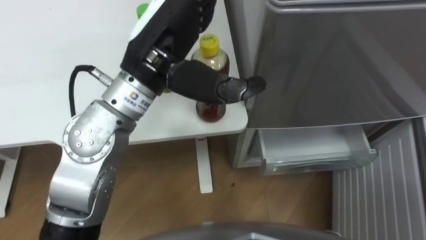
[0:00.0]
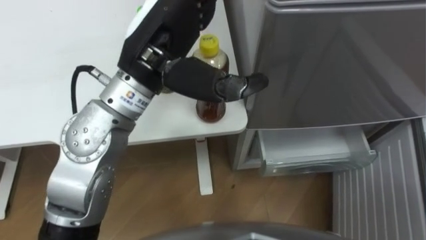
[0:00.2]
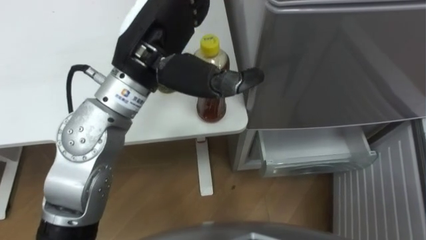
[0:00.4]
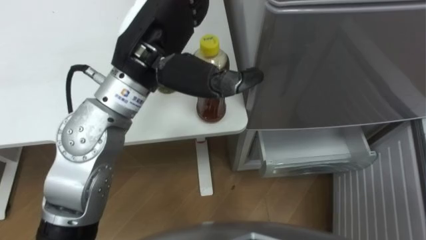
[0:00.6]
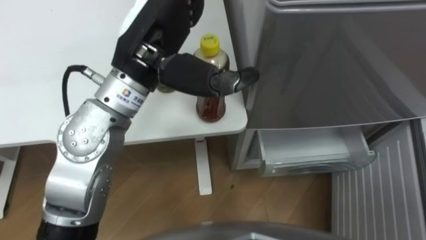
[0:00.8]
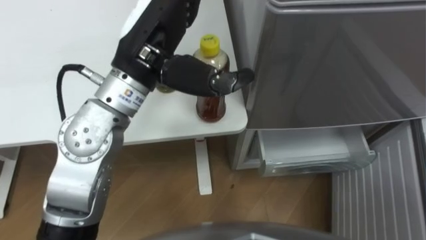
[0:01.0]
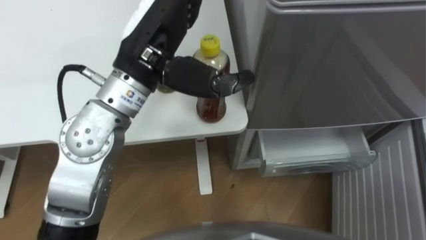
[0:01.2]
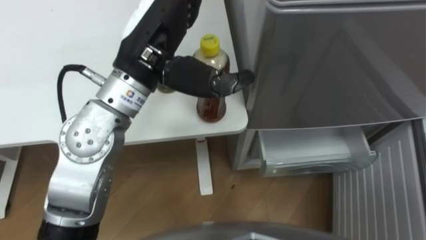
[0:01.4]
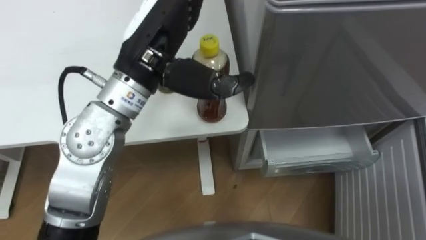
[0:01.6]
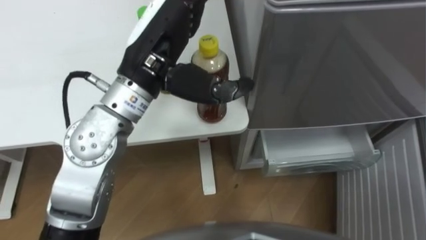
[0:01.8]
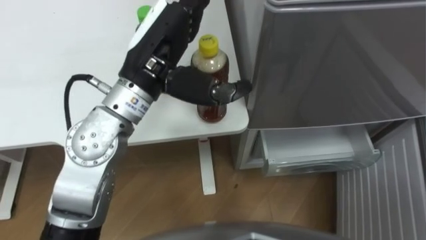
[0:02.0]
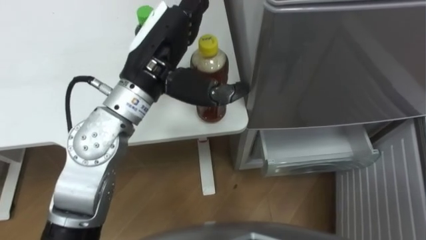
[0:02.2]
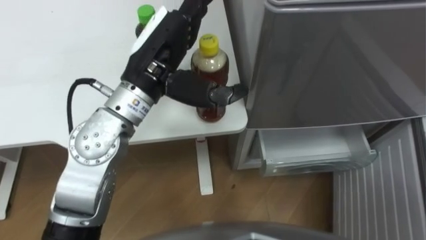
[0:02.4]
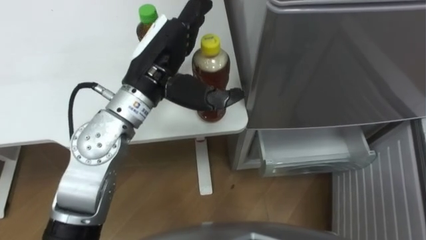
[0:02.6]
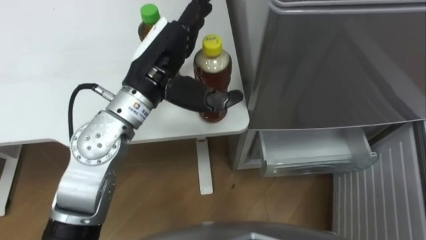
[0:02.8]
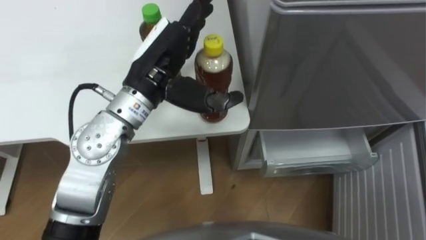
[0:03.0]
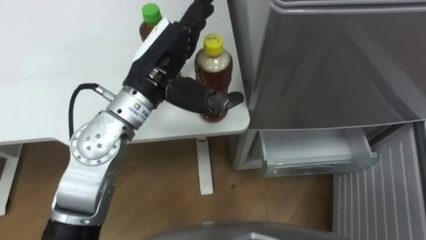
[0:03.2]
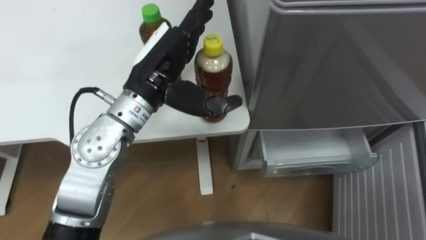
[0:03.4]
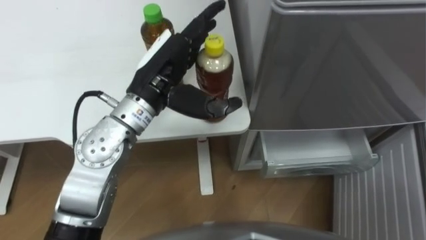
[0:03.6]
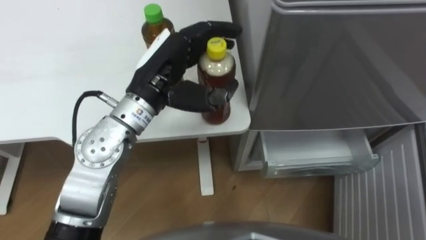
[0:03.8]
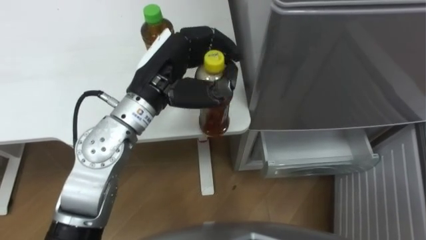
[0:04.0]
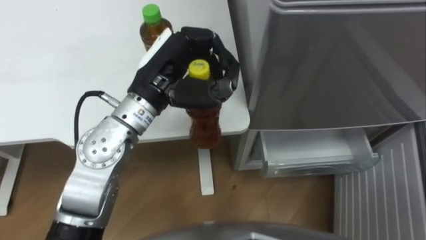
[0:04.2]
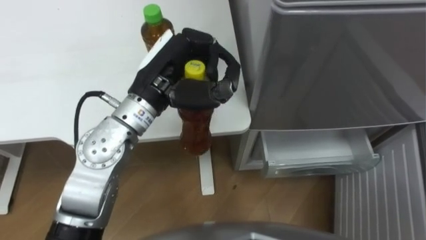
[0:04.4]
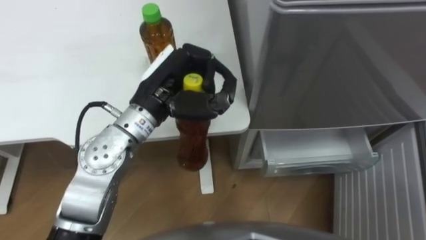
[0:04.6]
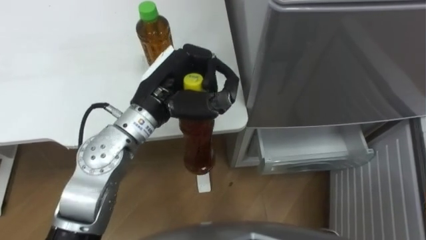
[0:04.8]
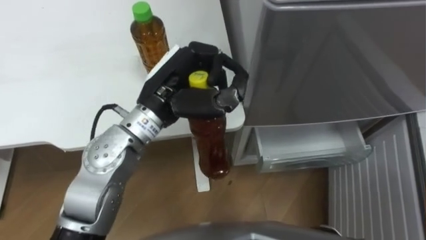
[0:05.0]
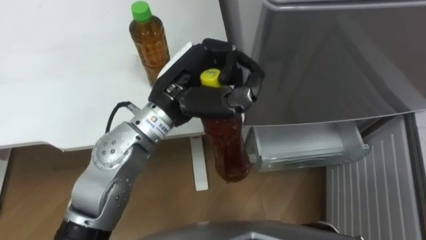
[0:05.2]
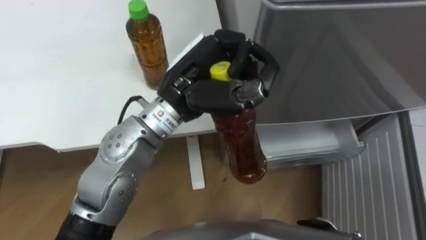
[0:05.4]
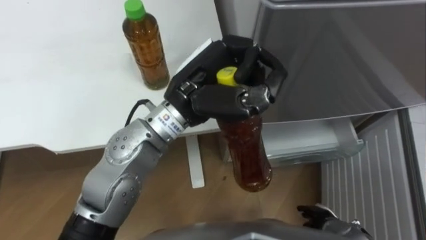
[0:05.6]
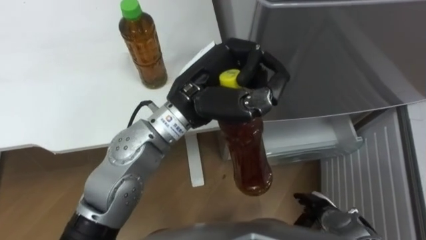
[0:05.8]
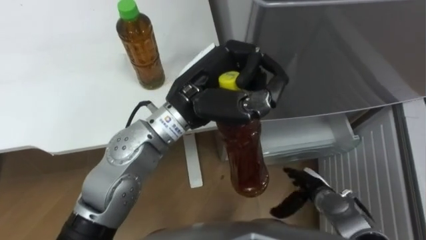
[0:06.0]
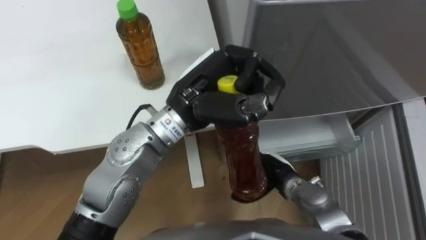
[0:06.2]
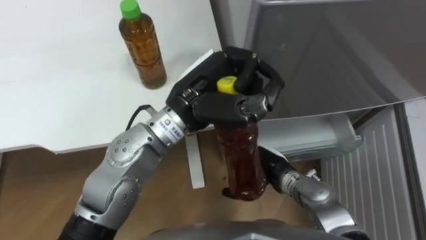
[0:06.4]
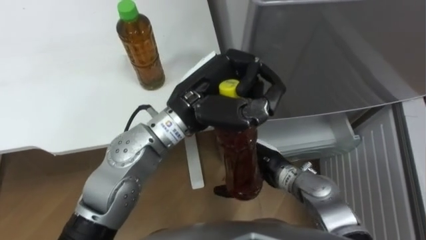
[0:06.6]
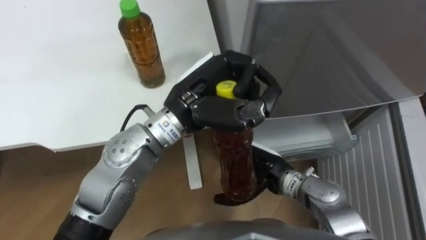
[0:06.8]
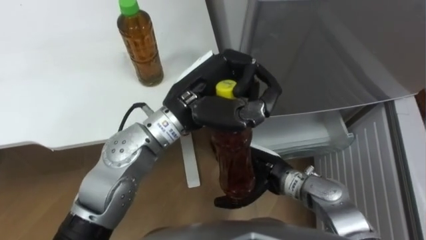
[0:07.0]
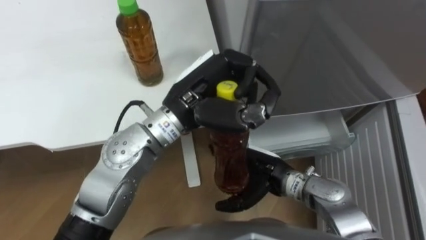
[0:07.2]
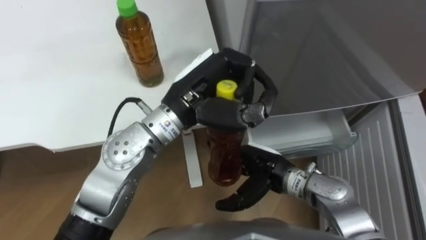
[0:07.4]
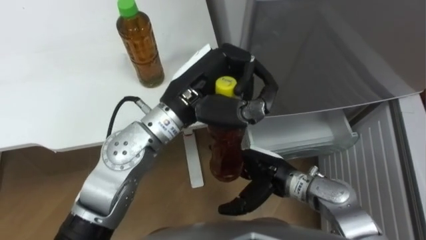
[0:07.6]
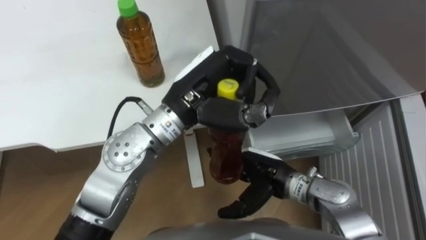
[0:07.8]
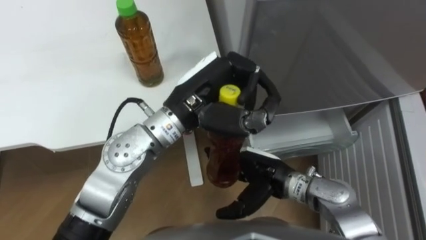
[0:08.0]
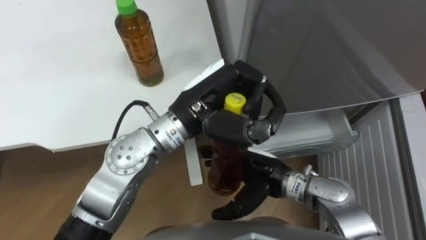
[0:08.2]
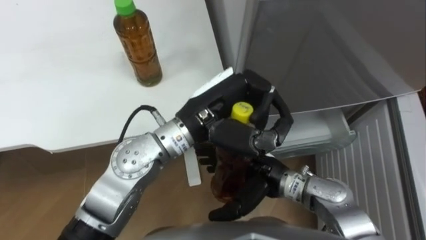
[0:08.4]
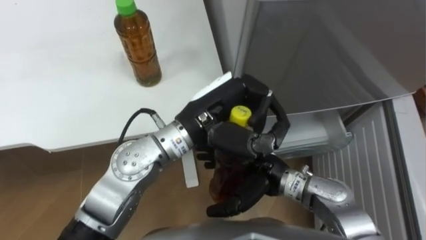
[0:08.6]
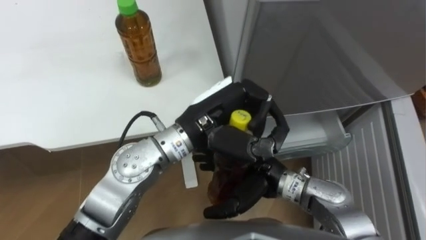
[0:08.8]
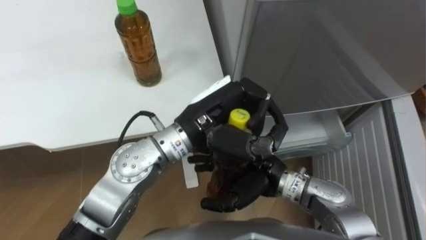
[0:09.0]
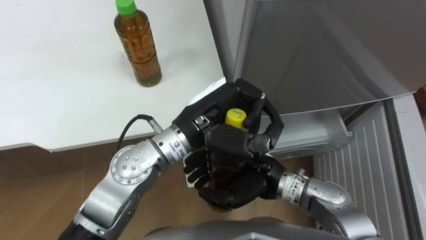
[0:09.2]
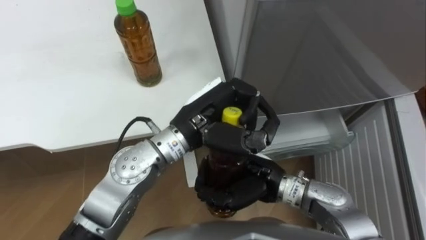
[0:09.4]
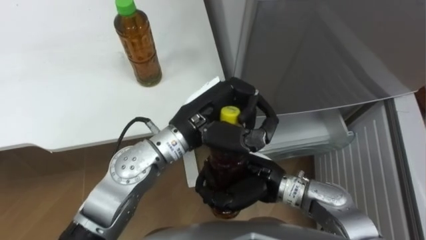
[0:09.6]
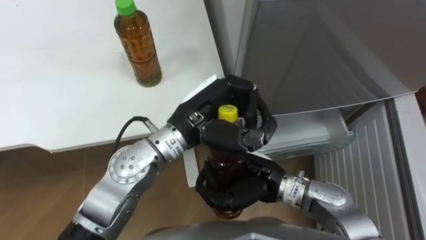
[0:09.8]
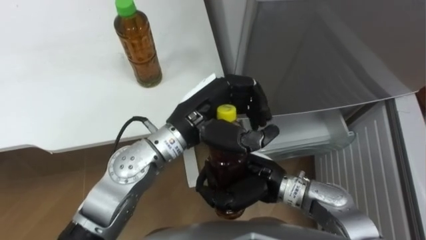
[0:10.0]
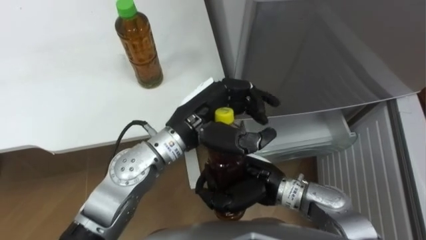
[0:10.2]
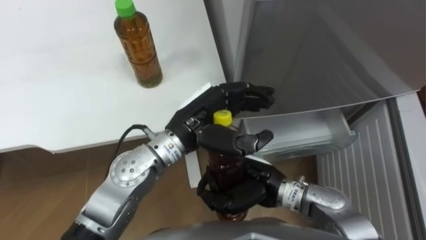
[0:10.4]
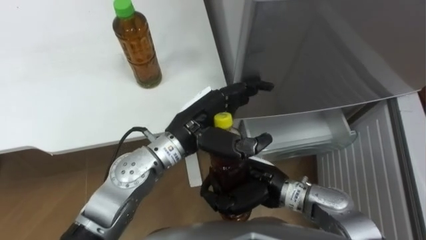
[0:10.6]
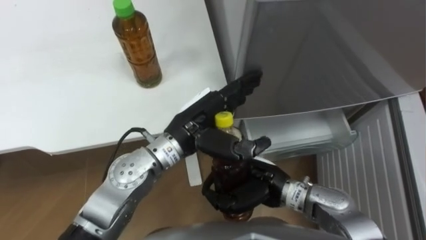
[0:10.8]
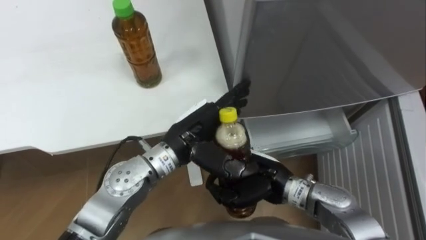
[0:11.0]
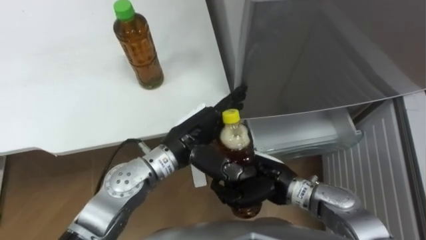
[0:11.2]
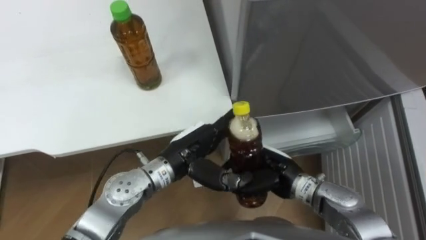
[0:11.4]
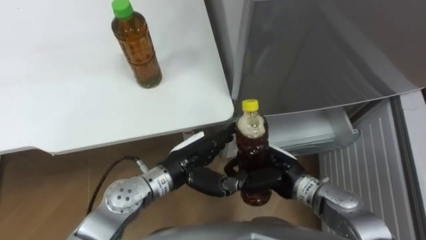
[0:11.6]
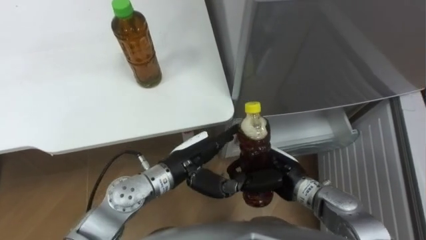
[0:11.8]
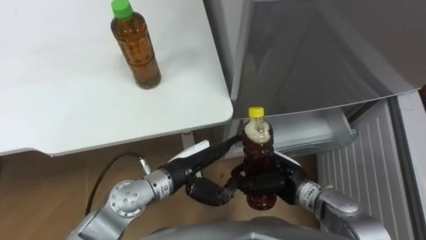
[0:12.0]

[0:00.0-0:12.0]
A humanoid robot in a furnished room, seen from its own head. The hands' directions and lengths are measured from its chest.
Task of the whole recording: Place the drink on the table on the bottom shelf of the refrigerator, then close the drawer and the refrigerator door.
0:01.6 to 0:03.0: The left hand is displaced downward by about 5 cm.
0:03.0 to 0:04.4: The left hand closes up.
0:04.4 to 0:06.0: The left hand moves to the right, some 5 cm.
0:06.0 to 0:07.6: The right hand is displaced to the left and upward by roughly 15 cm.
0:09.0 to 0:10.4: The right hand closes up. Meanwhile the left hand opens up.
0:10.4 to 0:12.0: The right hand heads to the right and downward, covering some 10 cm. Meanwhile the left hand travels downward and backward by approximately 10 cm.

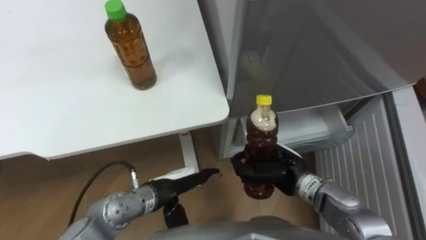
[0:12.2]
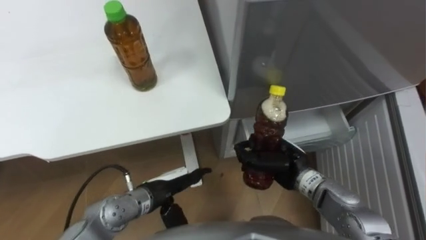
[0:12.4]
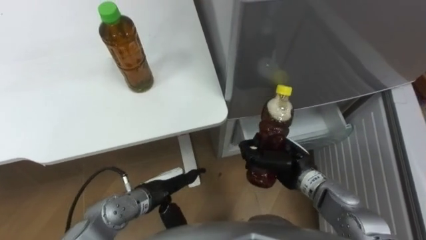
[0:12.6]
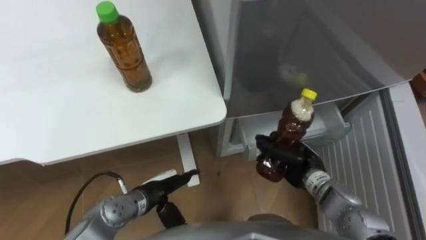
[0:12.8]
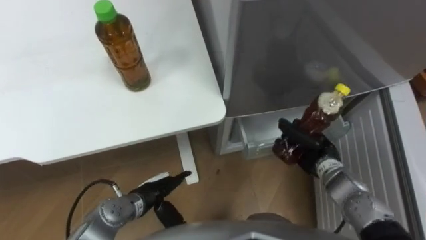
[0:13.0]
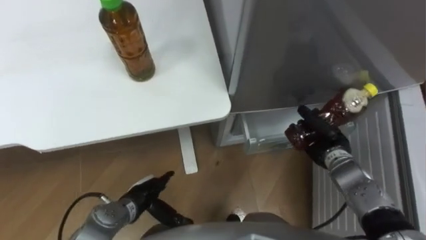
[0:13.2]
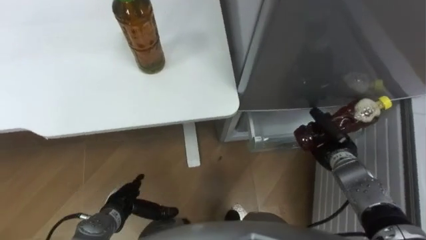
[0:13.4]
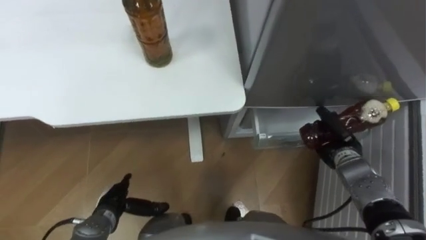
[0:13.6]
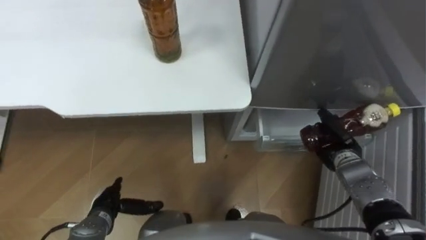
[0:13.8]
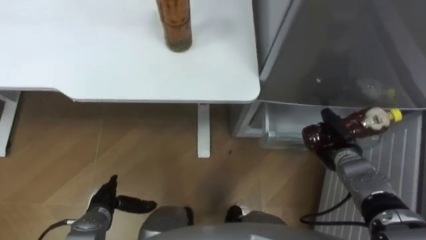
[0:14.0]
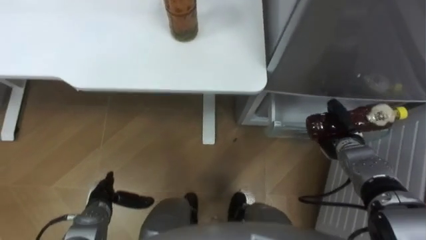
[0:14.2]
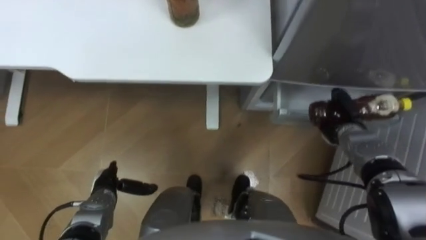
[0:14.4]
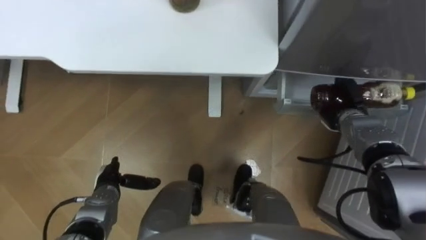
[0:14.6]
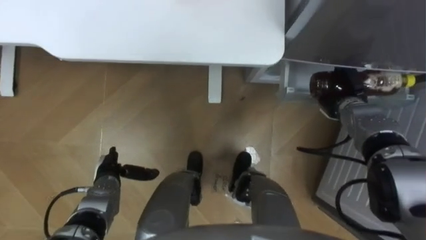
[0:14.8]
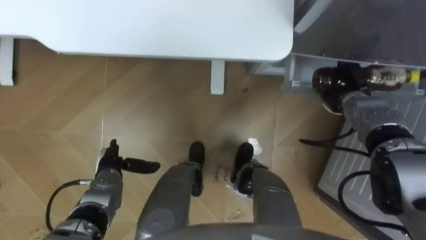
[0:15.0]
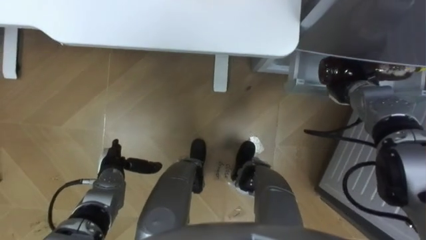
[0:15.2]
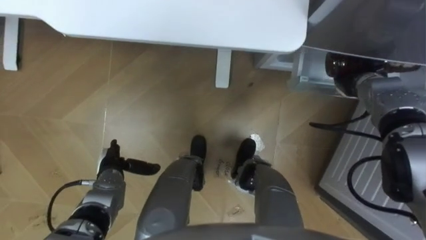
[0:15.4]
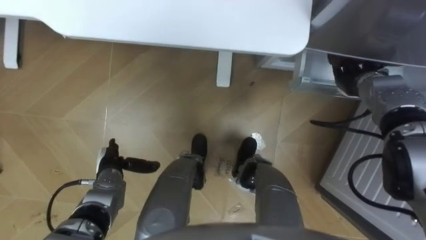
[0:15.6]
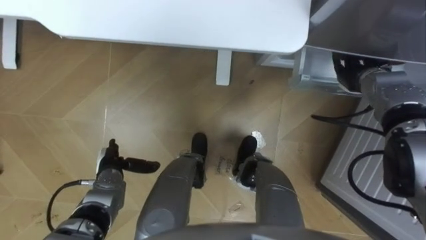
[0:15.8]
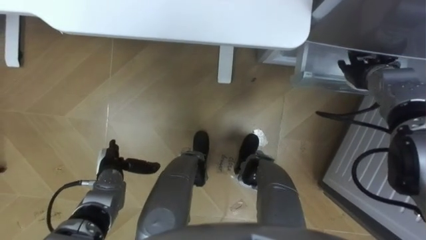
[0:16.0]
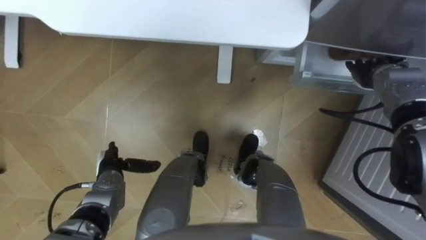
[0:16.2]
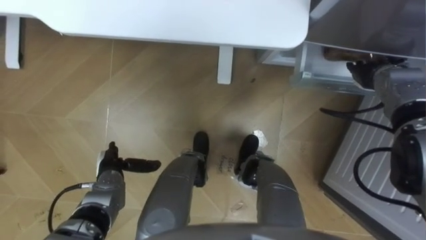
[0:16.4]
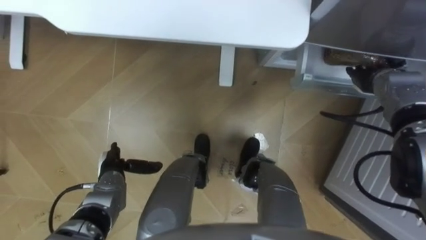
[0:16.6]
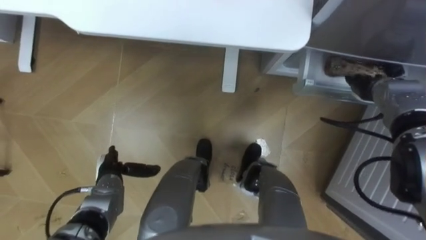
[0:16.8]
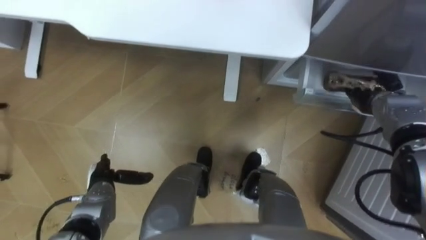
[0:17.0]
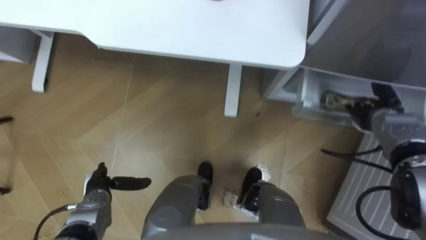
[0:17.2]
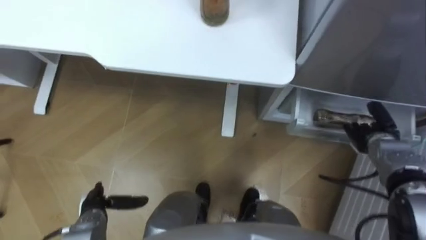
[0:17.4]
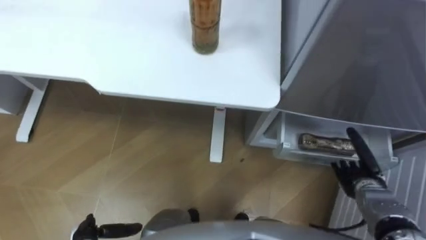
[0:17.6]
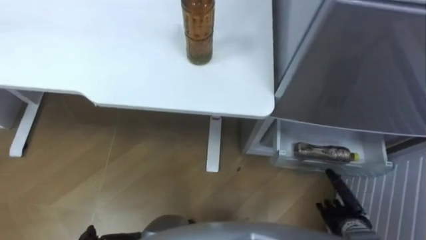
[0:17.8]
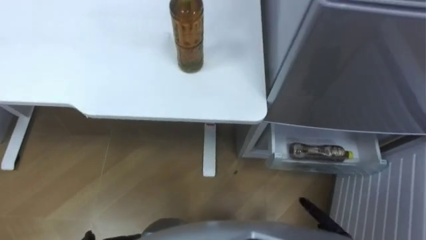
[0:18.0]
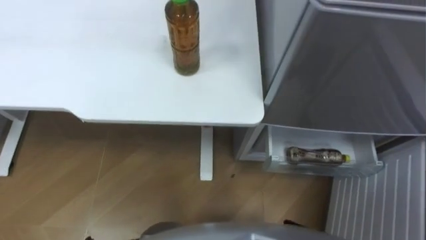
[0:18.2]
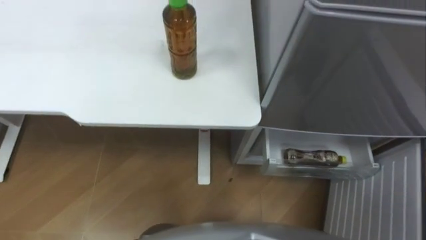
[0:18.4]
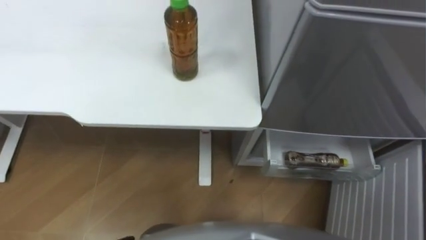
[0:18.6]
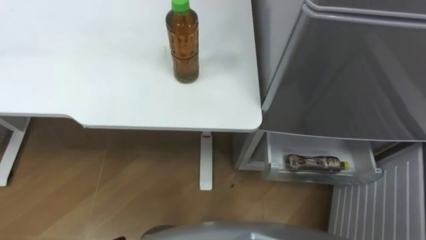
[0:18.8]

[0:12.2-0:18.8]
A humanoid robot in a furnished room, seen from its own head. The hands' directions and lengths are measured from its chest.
Task of the whole recording: Place the drink on the table on the bottom shelf of the refrigerator, then close the drawer and the refrigerator door.
0:12.2 to 0:13.8: The right hand shifts roughly 15 cm to the right. The left hand travels to the left and downward by about 20 cm.
0:13.8 to 0:15.4: The left hand heads forward, covering some 10 cm. Meanwhile the right hand moves forward and upward, some 15 cm.
0:15.4 to 0:17.2: The left hand moves about 5 cm. Meanwhile the right hand shifts some 5 cm backward, and opens up.
